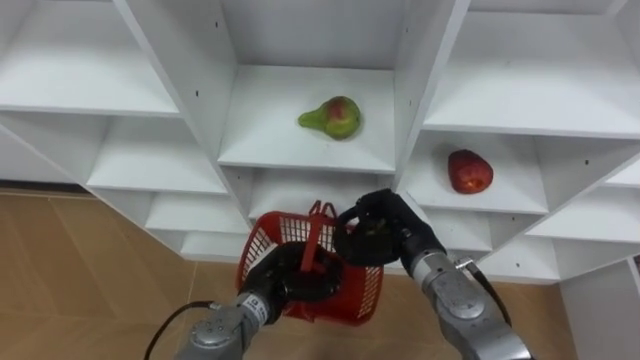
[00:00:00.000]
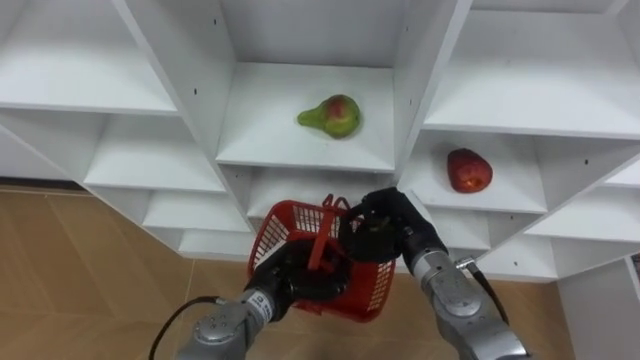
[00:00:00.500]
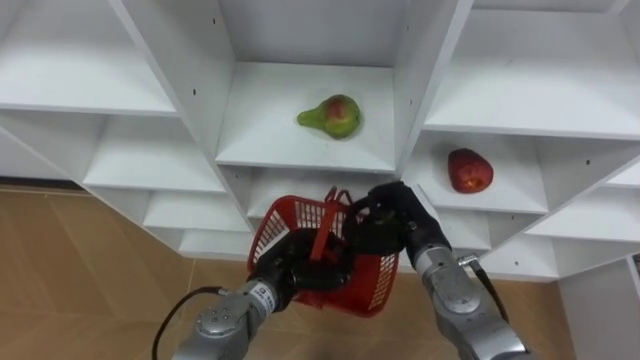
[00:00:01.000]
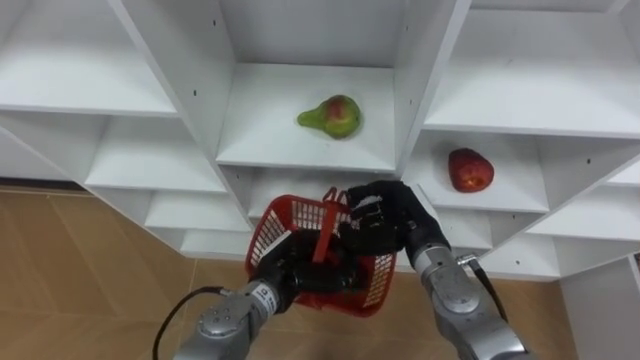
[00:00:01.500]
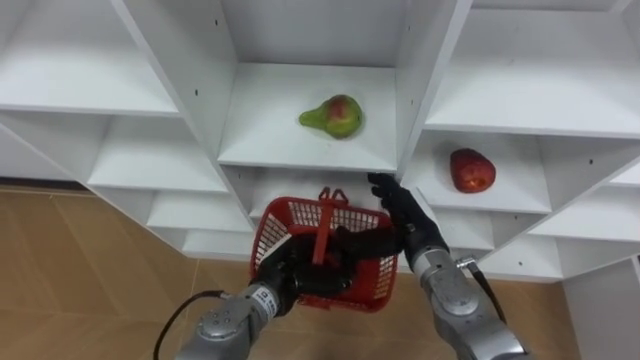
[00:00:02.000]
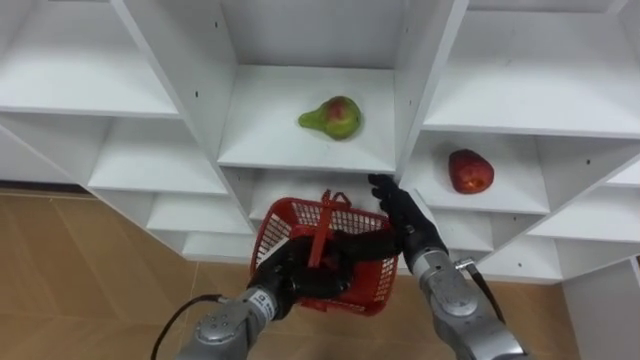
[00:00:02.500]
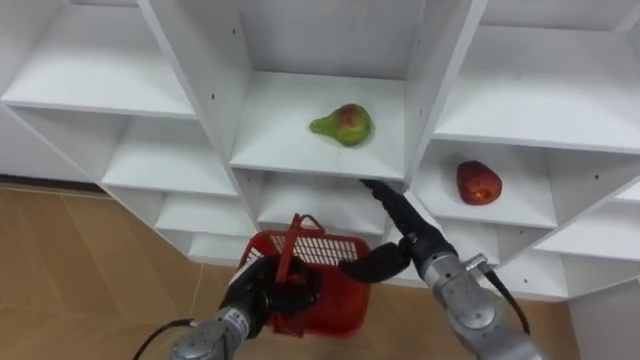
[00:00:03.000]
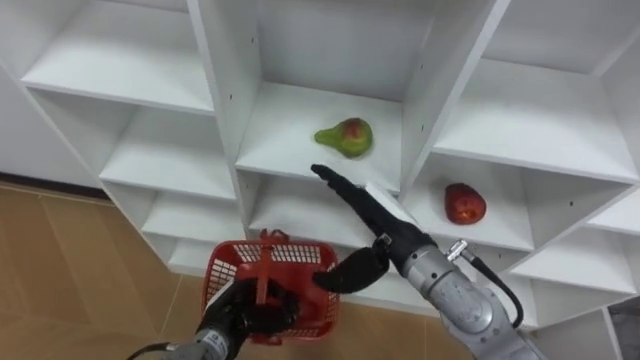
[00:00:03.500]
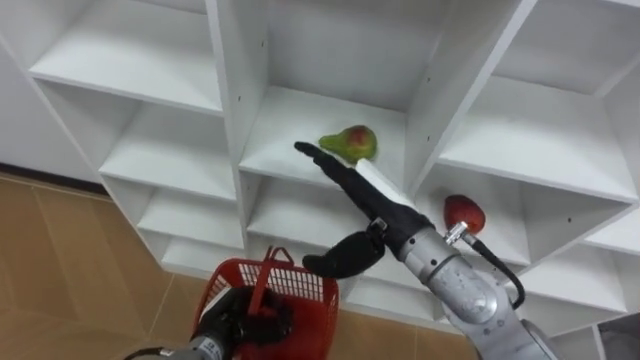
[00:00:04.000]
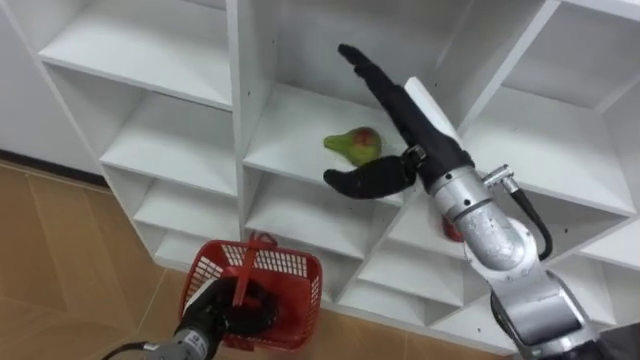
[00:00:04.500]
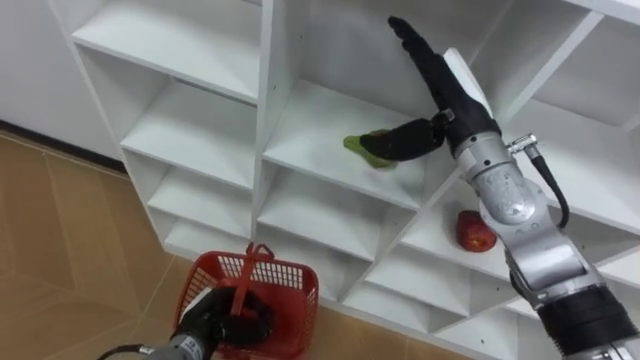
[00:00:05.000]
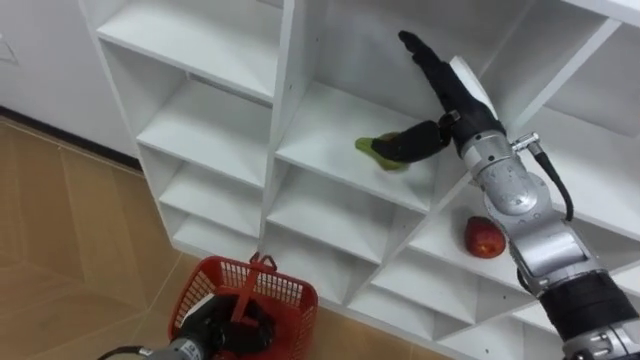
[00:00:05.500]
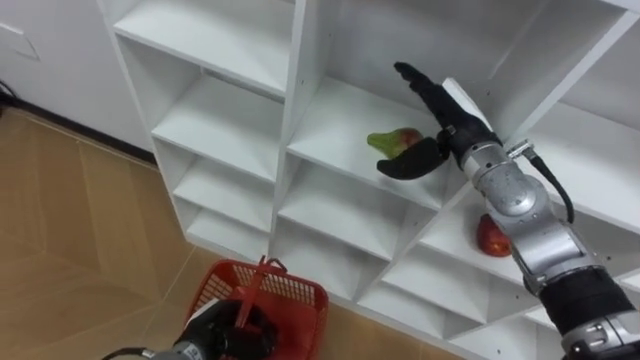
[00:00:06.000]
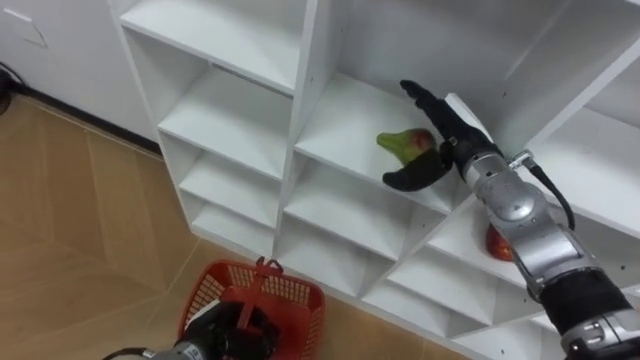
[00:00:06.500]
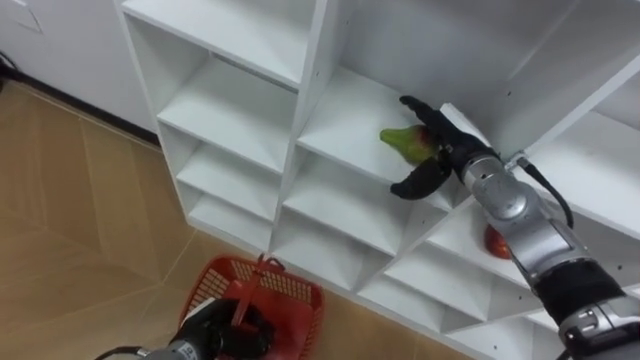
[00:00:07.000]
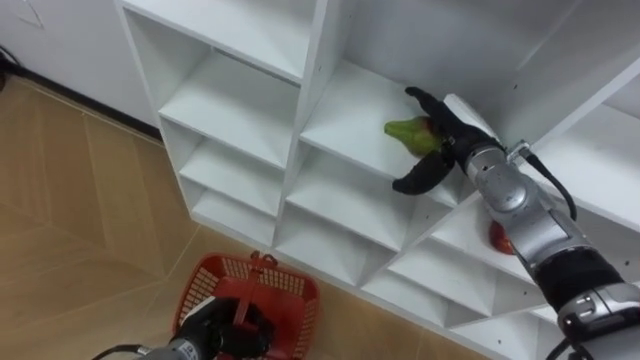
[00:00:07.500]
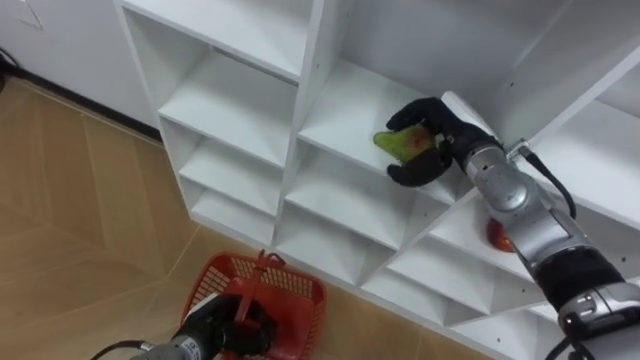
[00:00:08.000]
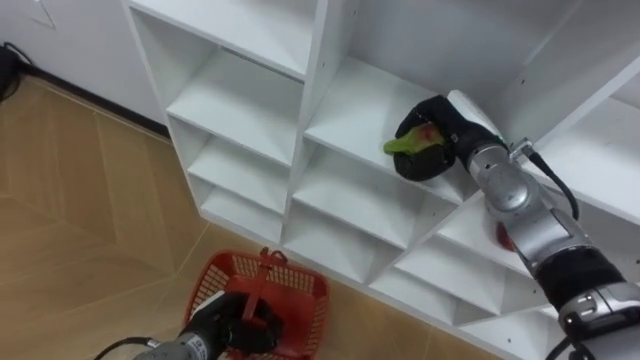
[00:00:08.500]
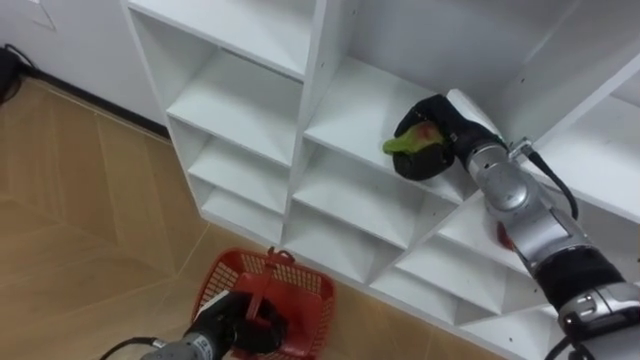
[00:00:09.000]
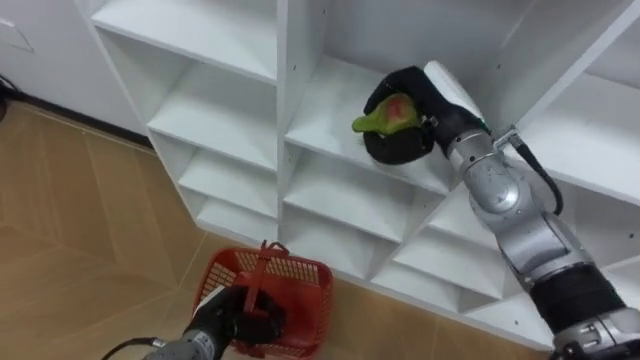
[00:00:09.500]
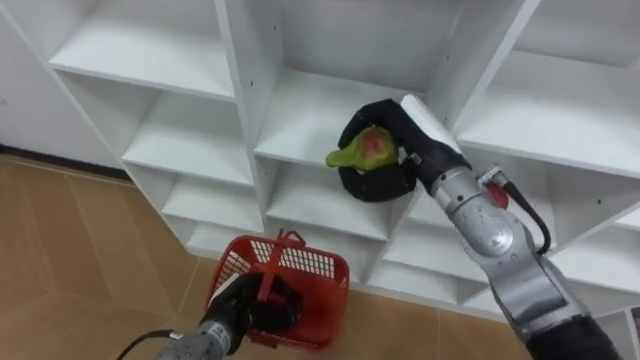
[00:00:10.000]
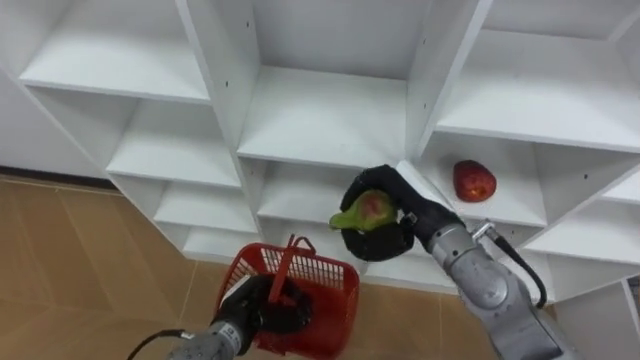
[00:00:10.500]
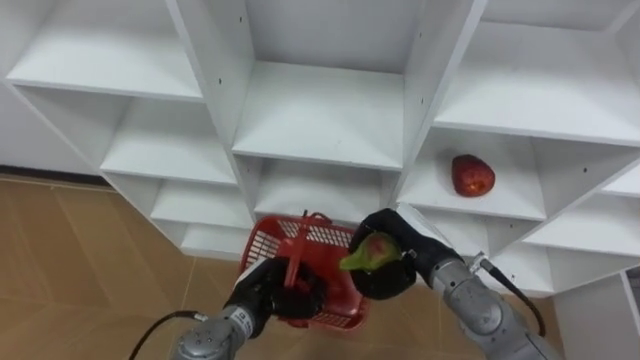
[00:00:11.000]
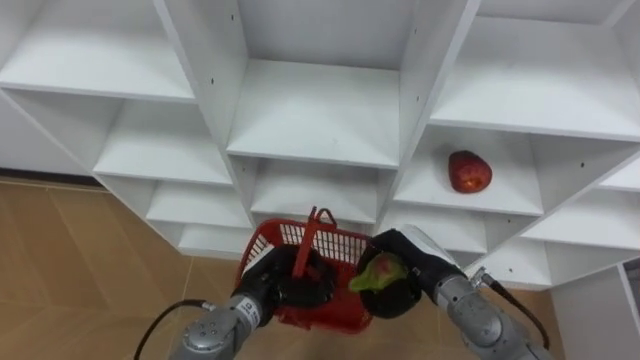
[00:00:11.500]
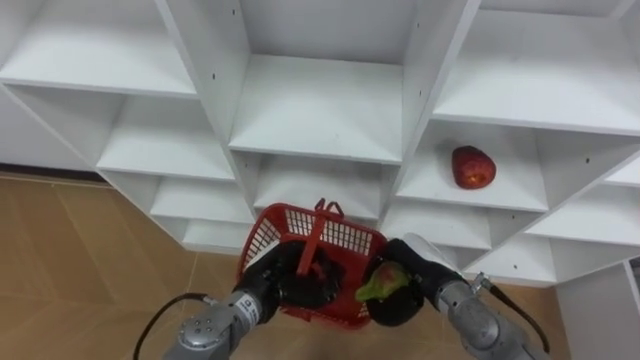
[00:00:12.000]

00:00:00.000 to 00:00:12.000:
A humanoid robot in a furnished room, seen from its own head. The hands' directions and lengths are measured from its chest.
Task of the whole recording: Hold the basket and collect the fruits from 3 different cells of the closet into it.
00:00:00.000 to 00:00:02.000: The right hand opens up.
00:00:02.000 to 00:00:04.000: The right hand moves upward, about 10 cm; the left hand is displaced to the left, downward and backward by roughly 10 cm.
00:00:04.000 to 00:00:06.000: The right hand moves forward and to the right, some 15 cm.
00:00:06.000 to 00:00:08.000: The right hand closes.
00:00:08.000 to 00:00:10.000: The right hand shifts about 10 cm to the left and backward.
00:00:10.000 to 00:00:12.000: The left hand travels to the right by some 5 cm. The right hand heads downward and backward, covering roughly 20 cm.

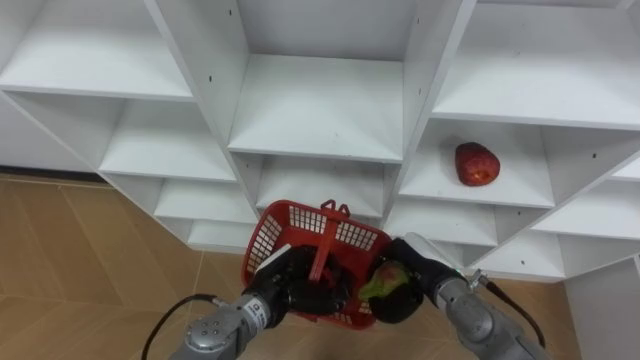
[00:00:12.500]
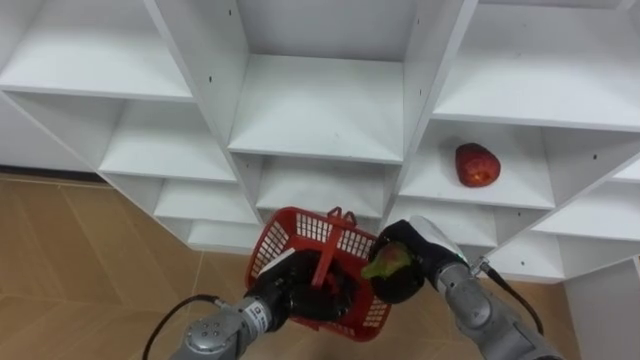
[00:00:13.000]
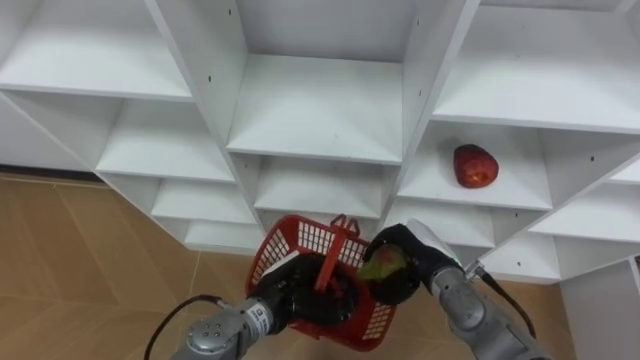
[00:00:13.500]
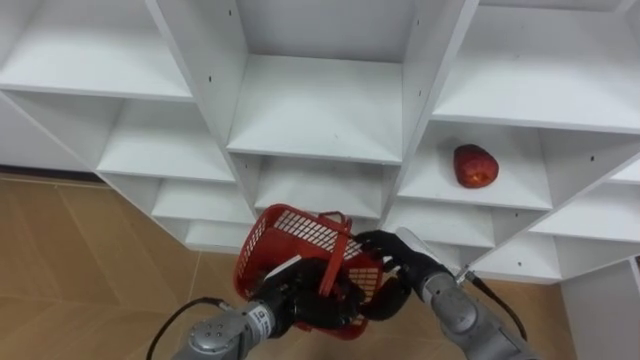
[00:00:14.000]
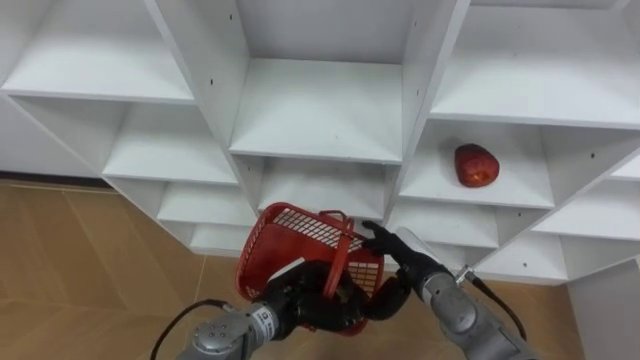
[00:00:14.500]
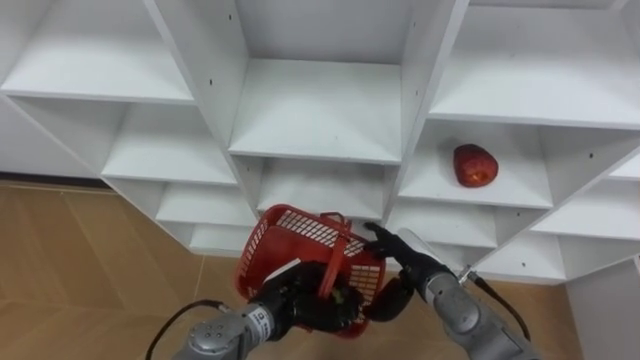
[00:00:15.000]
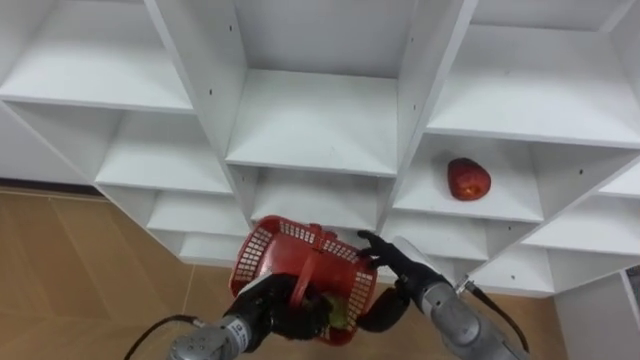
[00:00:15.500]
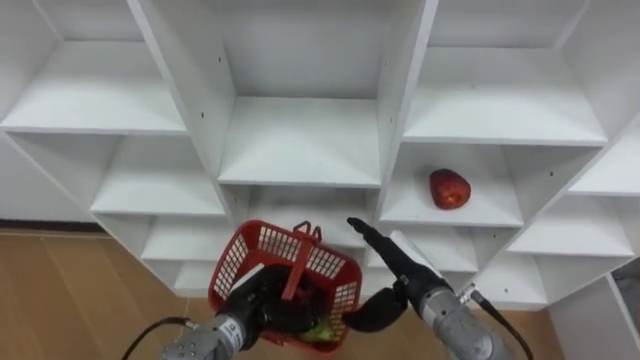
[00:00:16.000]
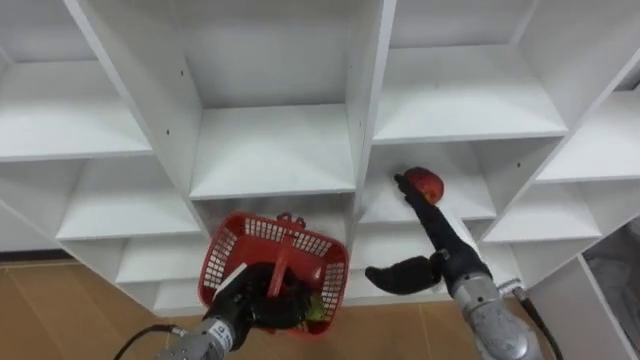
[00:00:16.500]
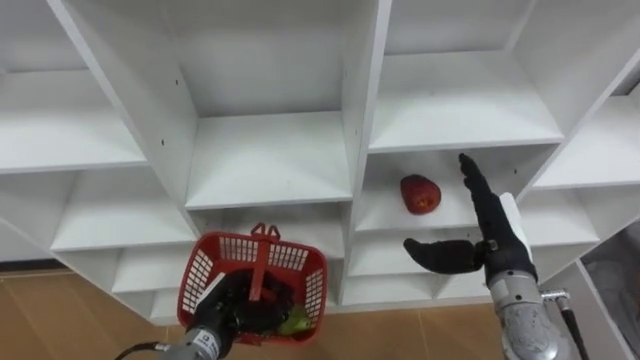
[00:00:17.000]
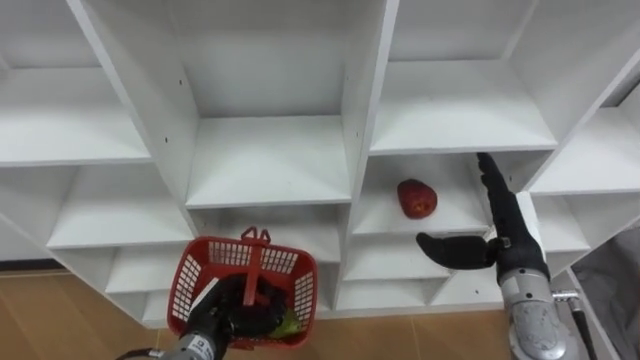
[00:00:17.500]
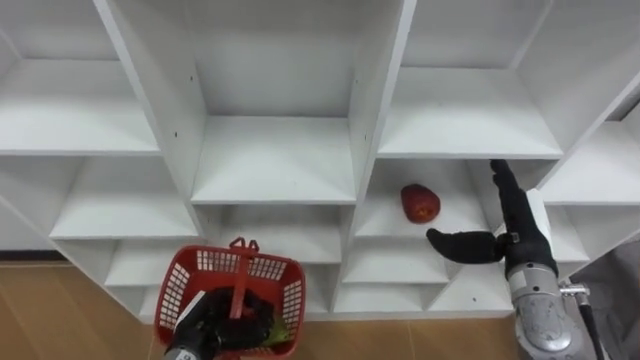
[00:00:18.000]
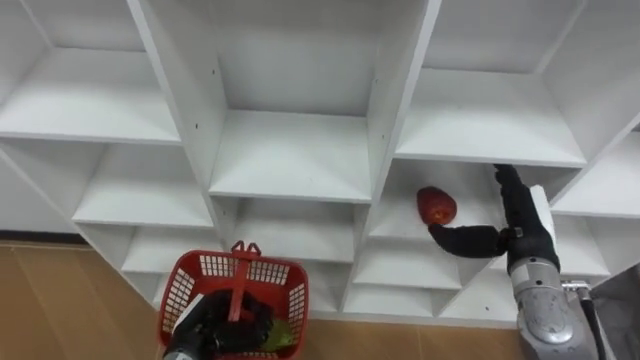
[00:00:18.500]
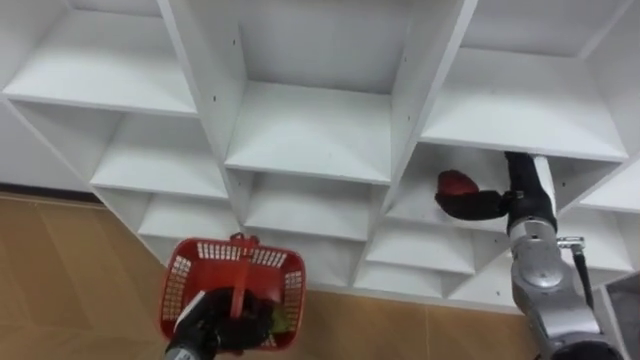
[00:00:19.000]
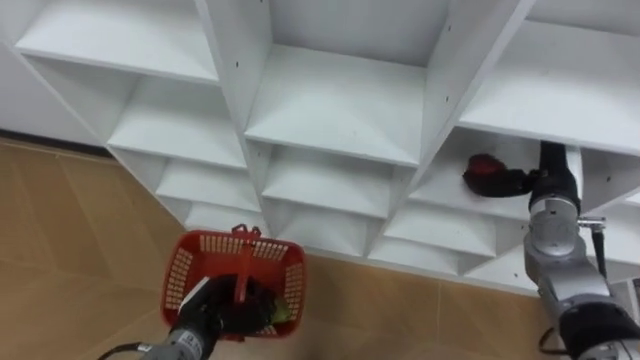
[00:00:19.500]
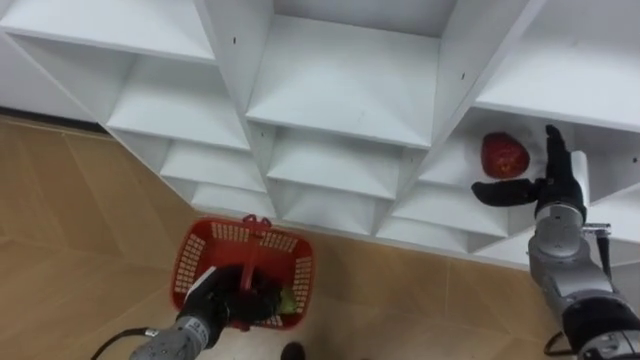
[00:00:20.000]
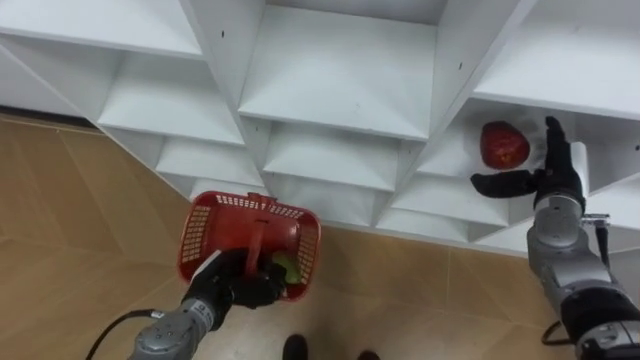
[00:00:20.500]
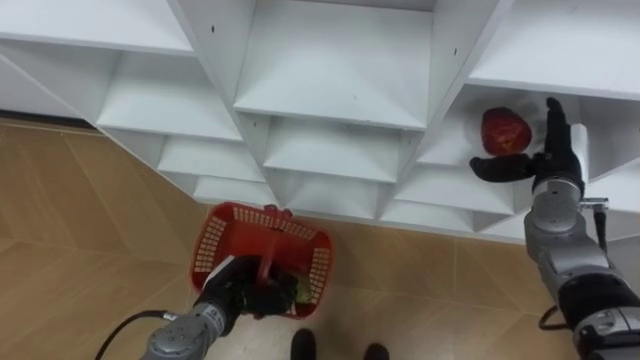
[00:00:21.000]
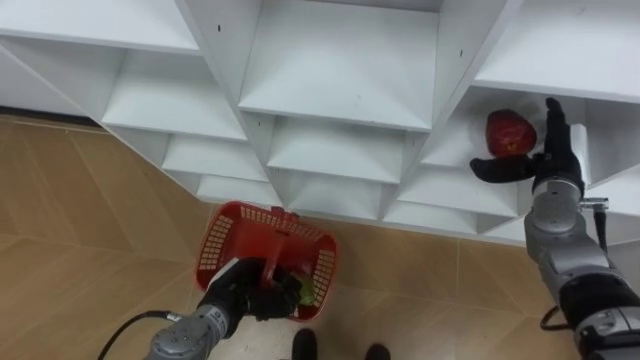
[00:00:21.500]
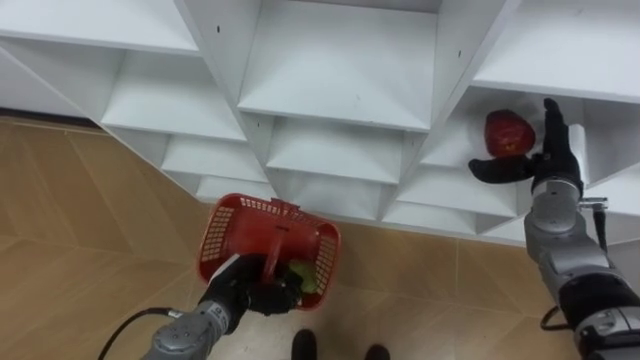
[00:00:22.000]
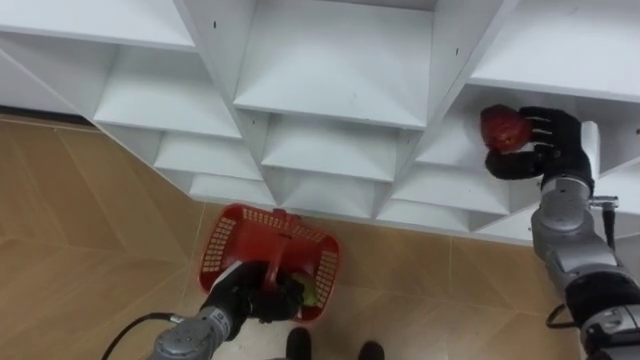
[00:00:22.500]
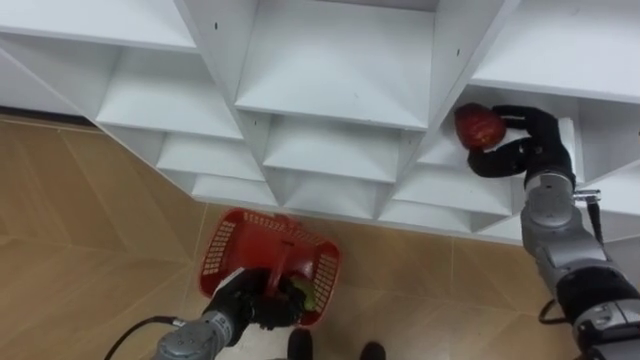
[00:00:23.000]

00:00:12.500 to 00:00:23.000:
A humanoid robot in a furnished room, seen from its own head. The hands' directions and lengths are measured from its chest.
Task of the whole recording: Hold the basket and collect the fruits from 3 different cells of the closet into it.
00:00:12.500 to 00:00:14.500: The right hand opens.
00:00:14.500 to 00:00:16.500: The right hand heads upward, covering some 5 cm, while the left hand heads to the left, covering about 10 cm.
00:00:16.500 to 00:00:19.000: The left hand is displaced to the left by roughly 5 cm, while the right hand shifts roughly 10 cm to the right and forward.
00:00:19.000 to 00:00:21.000: The left hand shifts by about 5 cm. The right hand ends up roughly 5 cm from where it was.
00:00:21.000 to 00:00:23.000: The right hand closes up.
